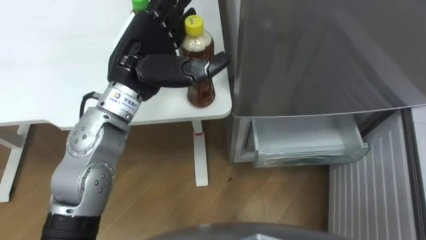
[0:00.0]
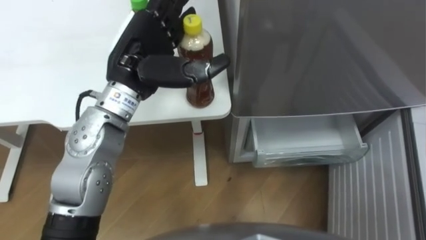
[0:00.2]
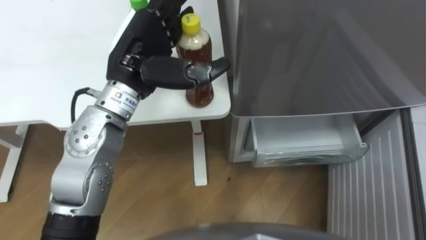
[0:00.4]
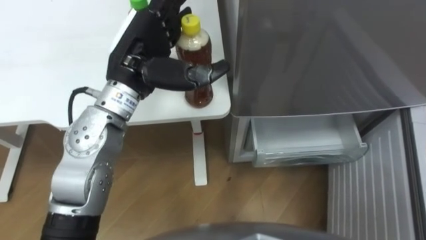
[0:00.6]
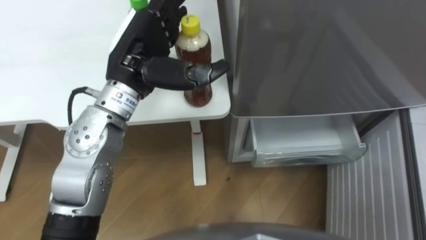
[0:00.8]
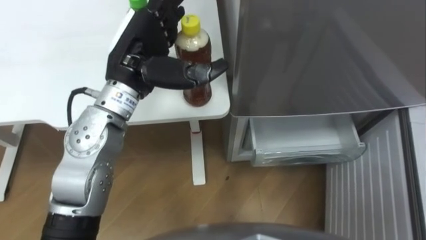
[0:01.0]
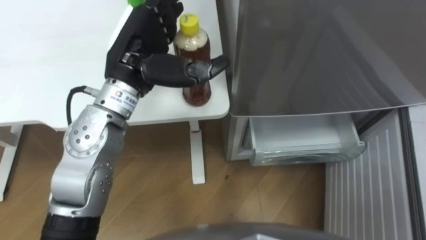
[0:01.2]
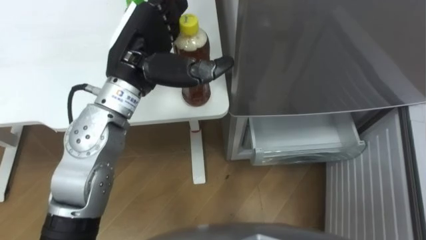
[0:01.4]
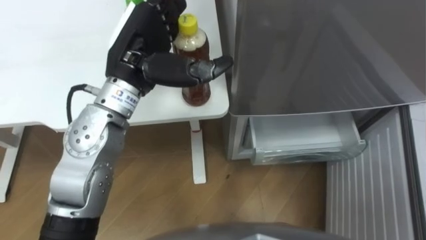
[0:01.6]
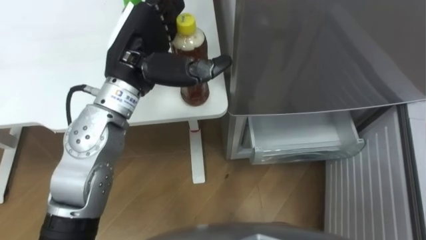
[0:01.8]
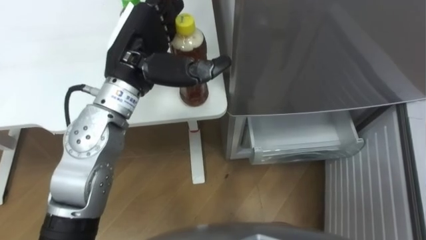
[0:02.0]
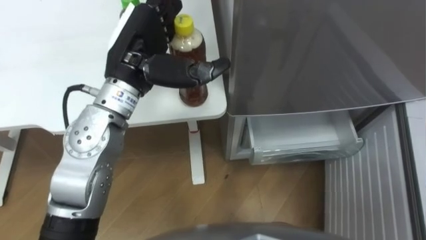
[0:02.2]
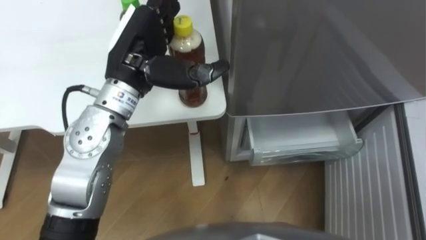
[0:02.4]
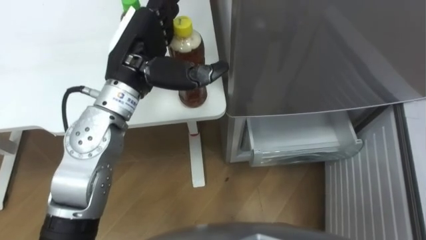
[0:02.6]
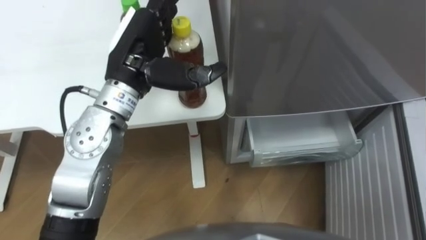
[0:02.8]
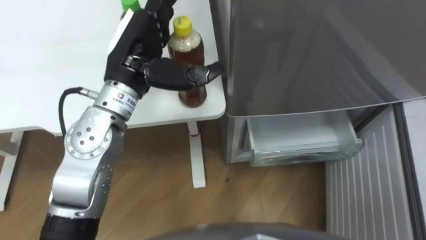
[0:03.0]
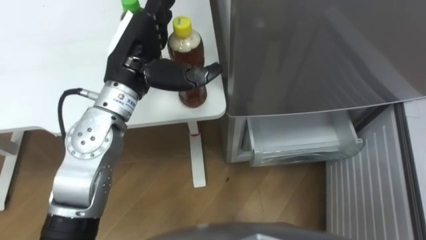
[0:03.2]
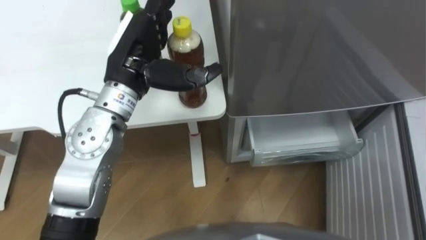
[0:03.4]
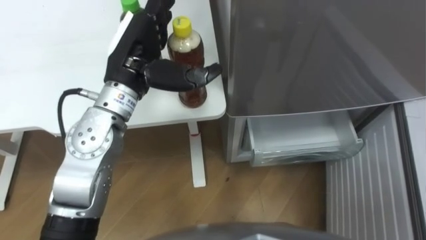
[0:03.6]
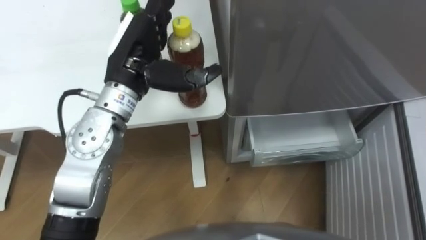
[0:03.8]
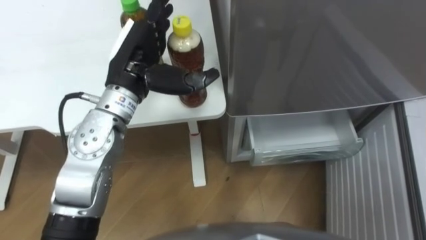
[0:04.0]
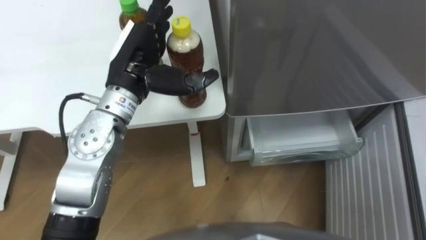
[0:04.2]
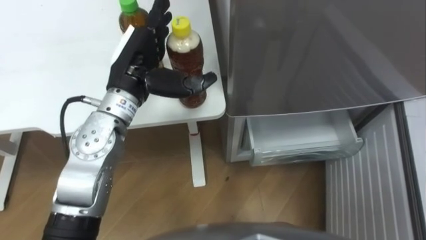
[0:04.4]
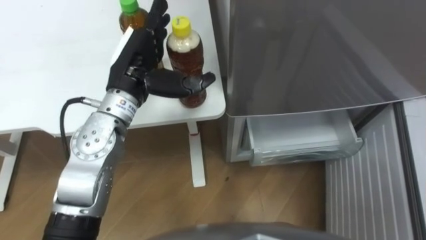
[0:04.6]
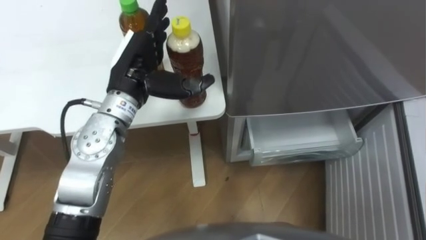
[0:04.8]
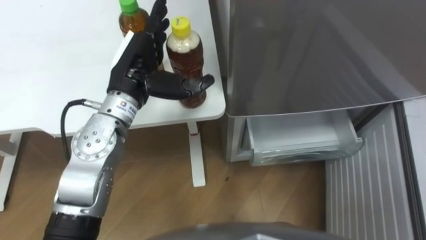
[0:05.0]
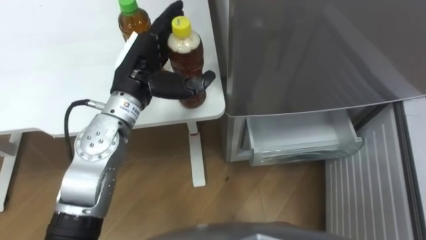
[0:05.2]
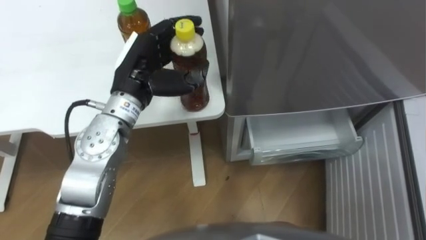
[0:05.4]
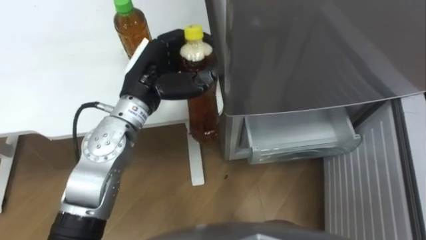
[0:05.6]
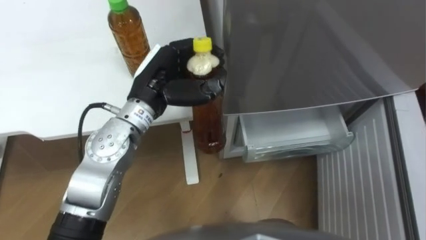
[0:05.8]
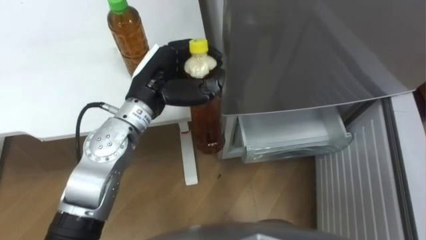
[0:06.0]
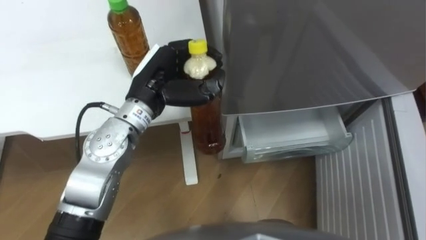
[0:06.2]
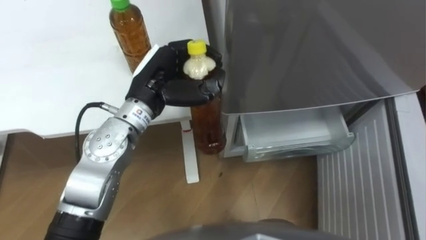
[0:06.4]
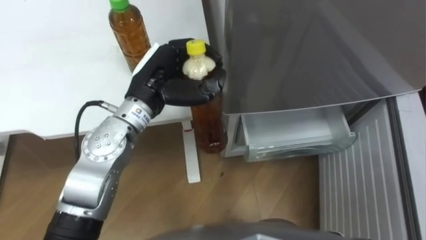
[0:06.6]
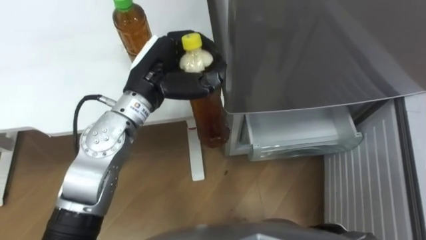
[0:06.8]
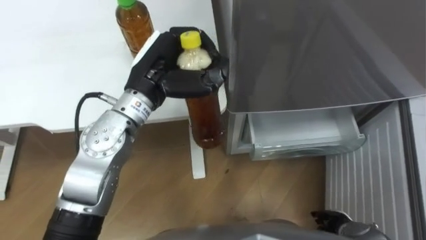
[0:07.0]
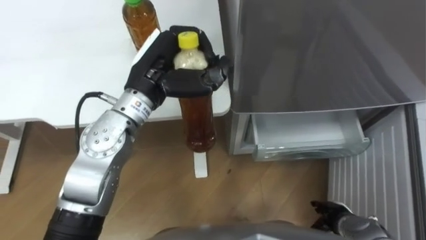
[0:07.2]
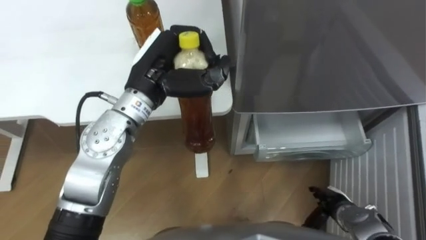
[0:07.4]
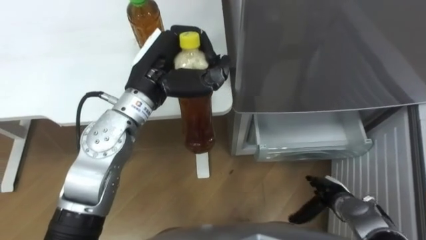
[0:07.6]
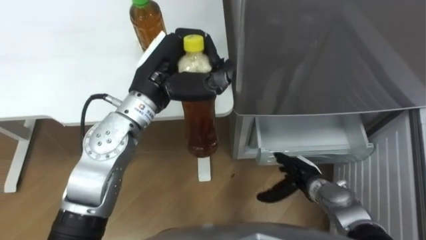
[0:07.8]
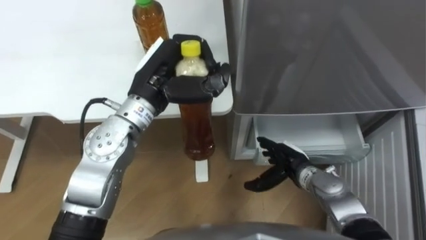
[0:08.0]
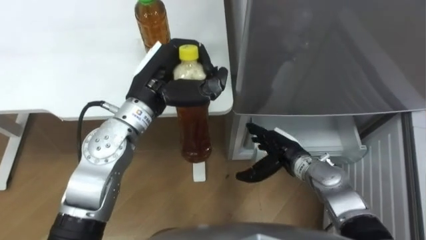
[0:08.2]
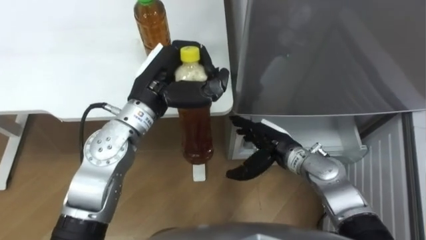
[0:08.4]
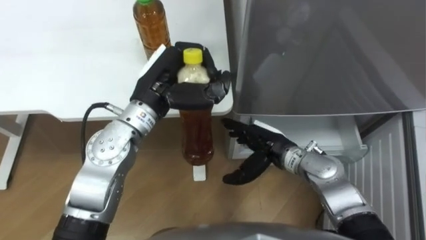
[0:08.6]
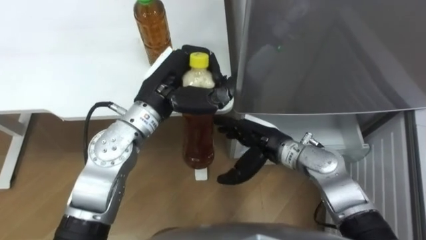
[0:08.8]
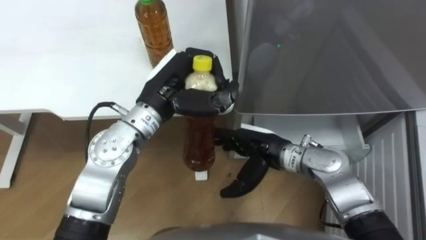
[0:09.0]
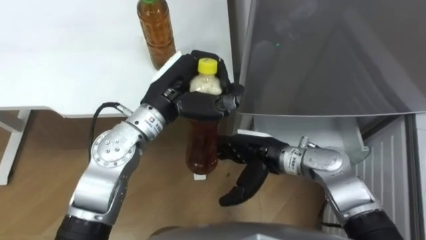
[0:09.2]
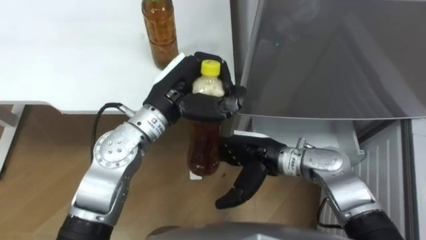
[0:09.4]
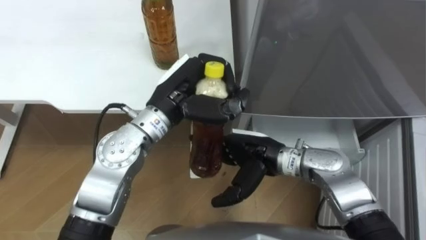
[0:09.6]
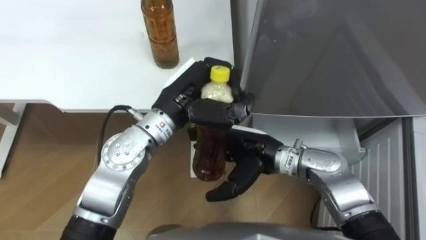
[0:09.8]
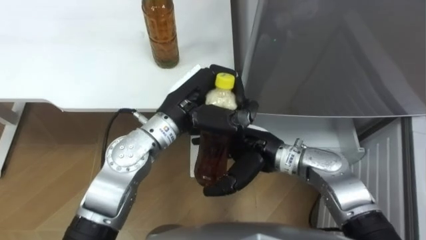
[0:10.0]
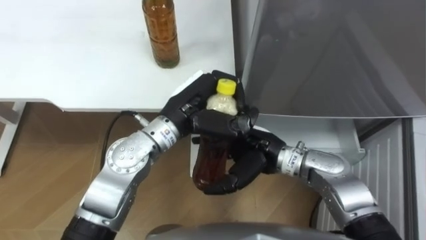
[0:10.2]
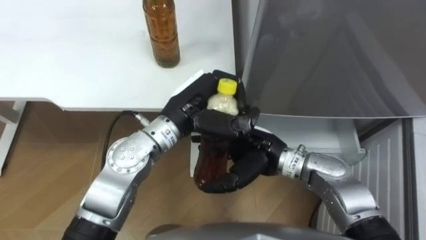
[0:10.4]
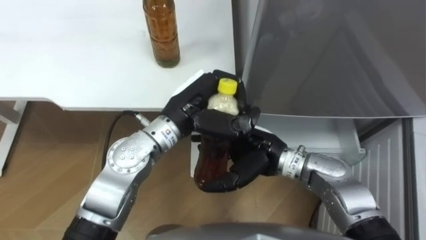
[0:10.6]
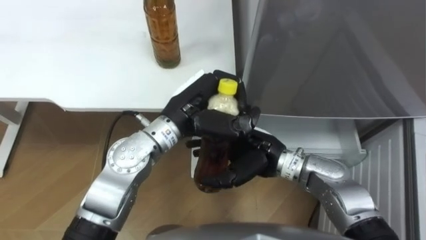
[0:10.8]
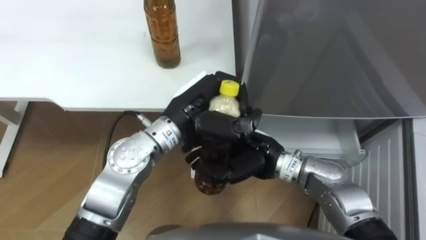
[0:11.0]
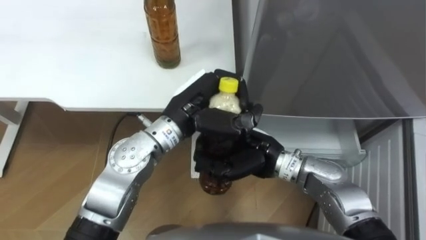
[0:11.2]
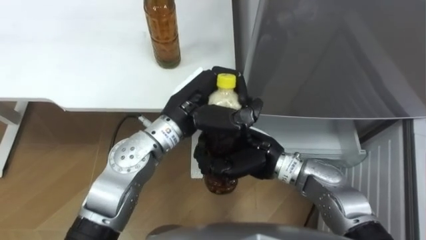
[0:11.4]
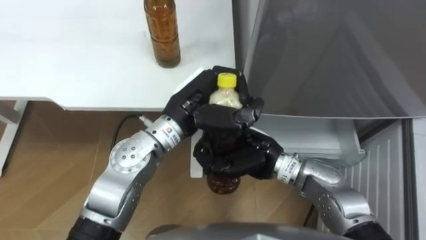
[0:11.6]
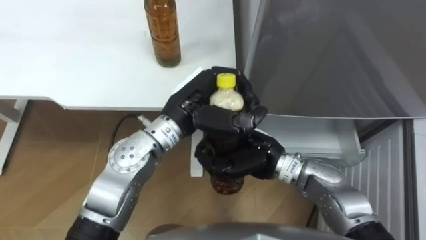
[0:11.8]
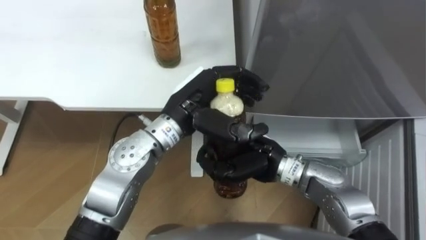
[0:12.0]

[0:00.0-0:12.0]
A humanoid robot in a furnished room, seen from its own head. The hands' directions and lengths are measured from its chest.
Task of the whole recording: Place the drink on the table on the bottom shelf of the refrigerator, then close the drawer and the refrigerator door.
0:04.4 to 0:06.0: The left hand closes up.
0:07.6 to 0:09.0: The right hand travels to the left, upward and forward by about 25 cm.
0:10.4 to 0:12.0: The right hand closes up. The left hand opens up.

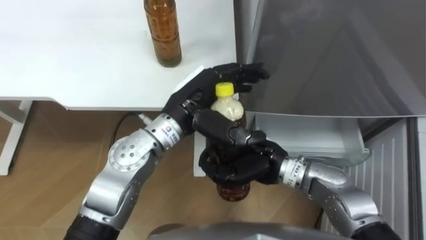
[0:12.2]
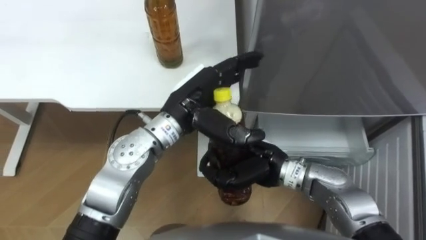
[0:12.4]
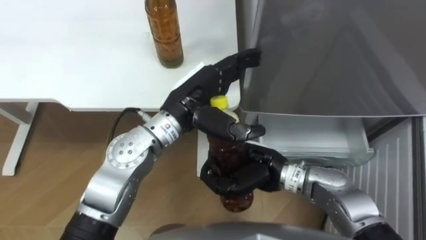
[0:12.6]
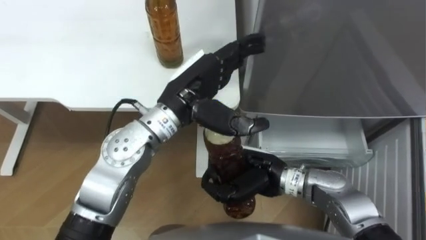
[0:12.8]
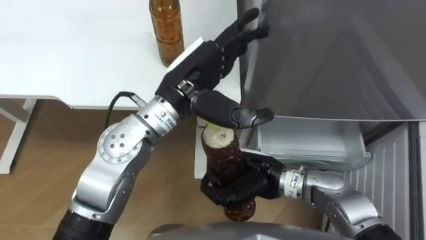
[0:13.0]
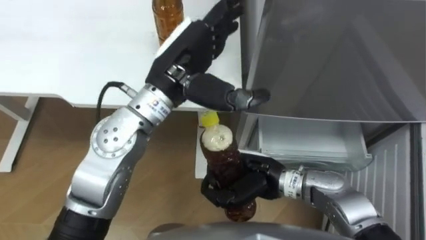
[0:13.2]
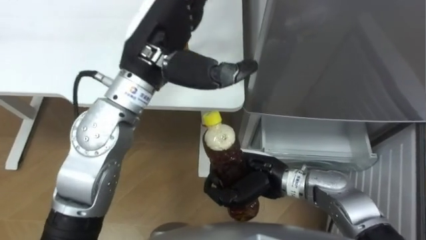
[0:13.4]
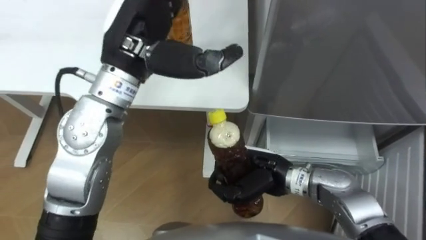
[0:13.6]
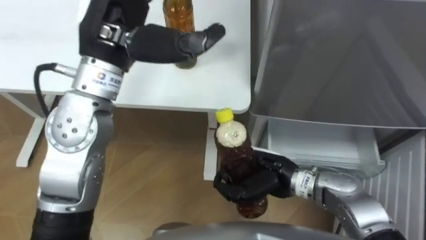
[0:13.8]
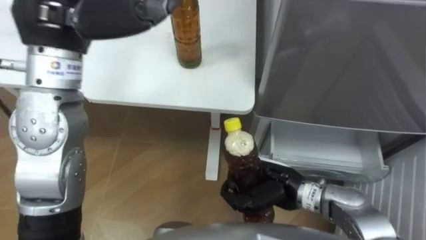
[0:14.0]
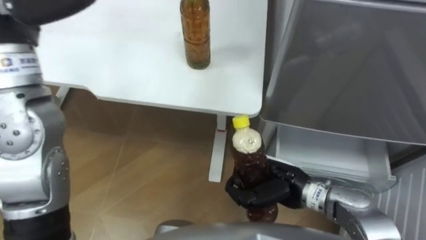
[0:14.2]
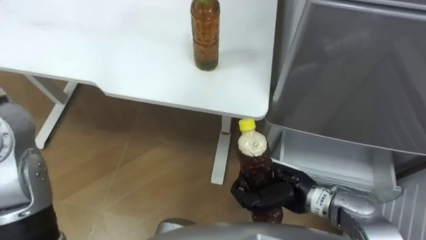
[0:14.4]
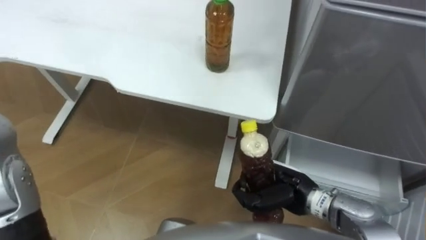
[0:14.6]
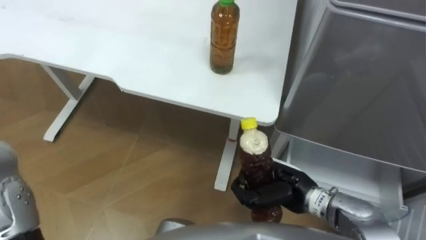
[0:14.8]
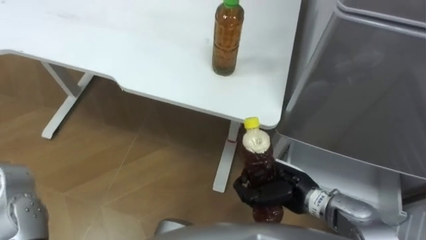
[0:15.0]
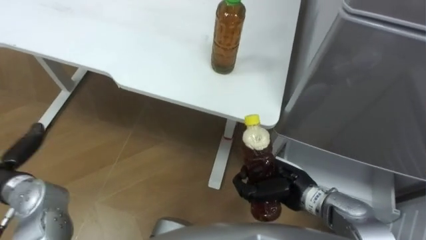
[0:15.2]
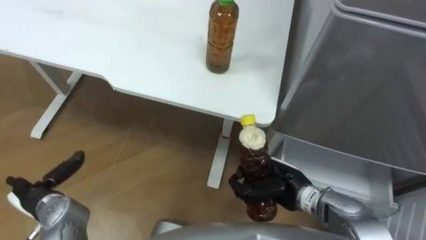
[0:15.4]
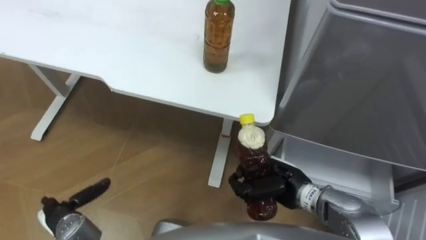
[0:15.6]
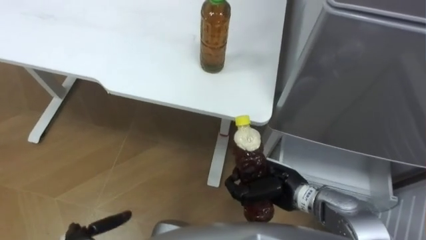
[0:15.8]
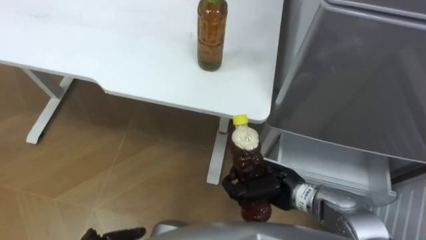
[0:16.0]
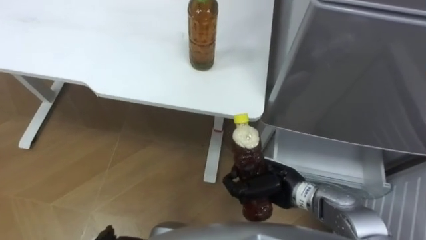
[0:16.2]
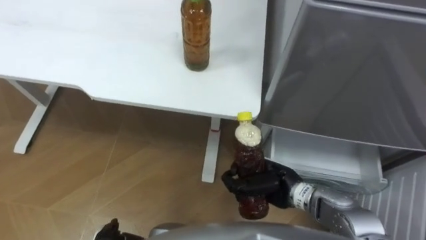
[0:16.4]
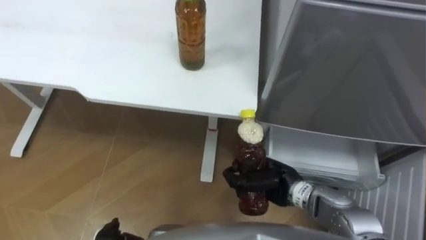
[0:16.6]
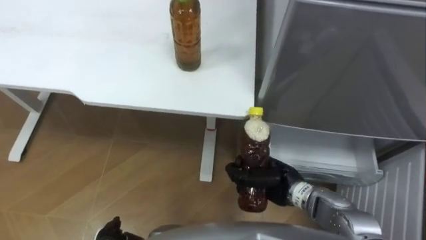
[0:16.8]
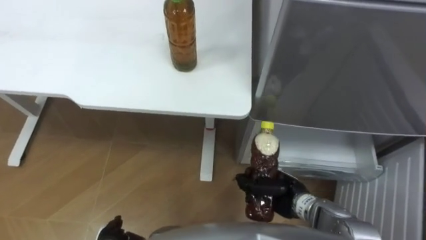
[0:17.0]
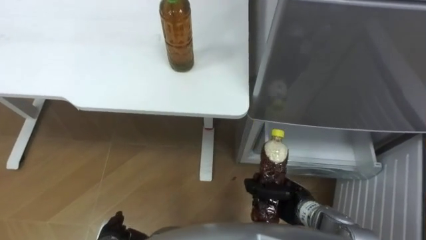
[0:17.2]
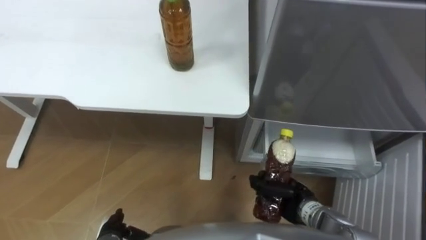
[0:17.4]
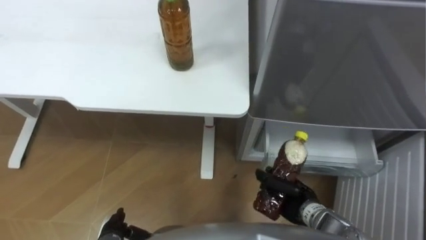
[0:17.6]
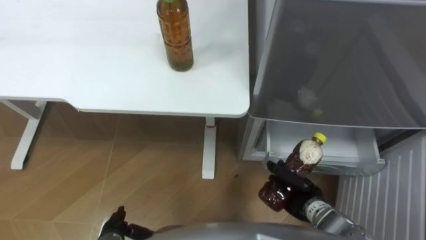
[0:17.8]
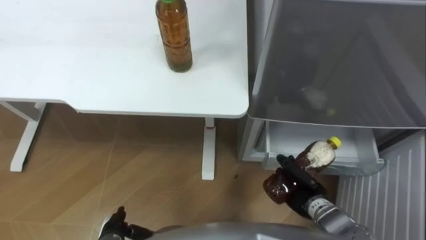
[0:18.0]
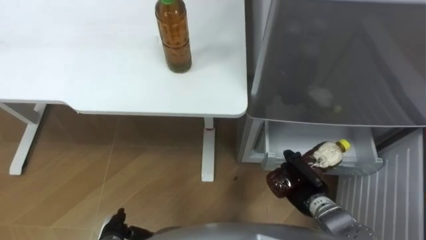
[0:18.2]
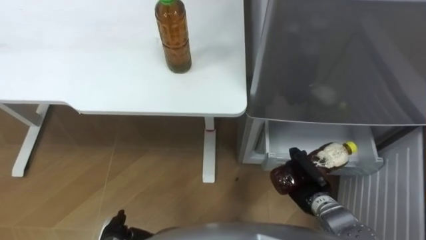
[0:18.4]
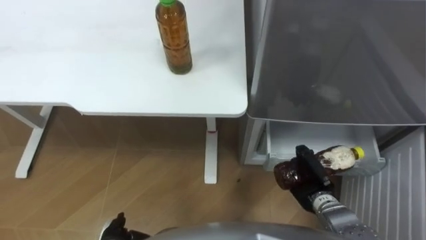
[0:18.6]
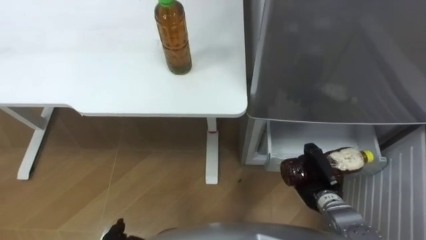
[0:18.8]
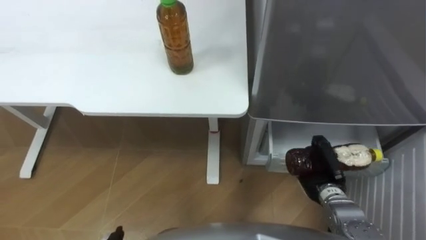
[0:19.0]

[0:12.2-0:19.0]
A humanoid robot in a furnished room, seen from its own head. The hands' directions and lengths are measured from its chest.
Task of the whole recording: Place the drink on the table on the bottom shelf of the refrigerator, then close the drawer and the refrigerator door.
0:12.2 to 0:13.6: The left hand moves upward and to the left, approximately 15 cm.
0:13.6 to 0:15.0: The right hand travels to the right by roughly 5 cm.
0:16.2 to 0:17.6: The right hand moves downward and to the right, about 10 cm.
0:17.6 to 0:19.0: The right hand shifts some 5 cm to the right.
